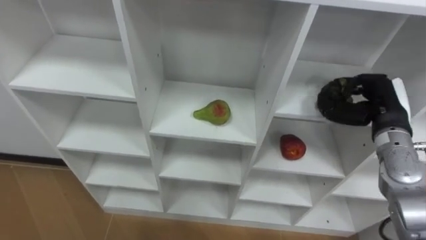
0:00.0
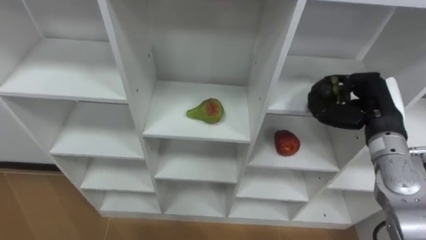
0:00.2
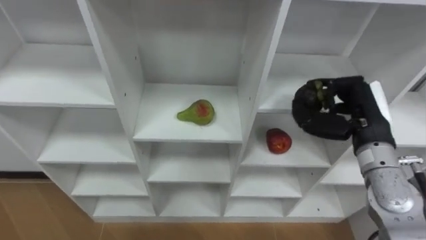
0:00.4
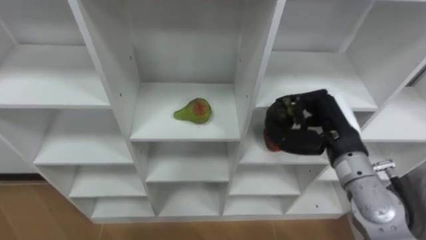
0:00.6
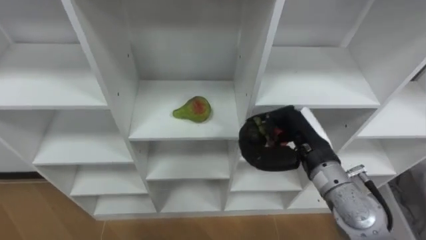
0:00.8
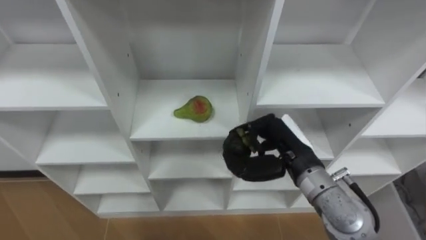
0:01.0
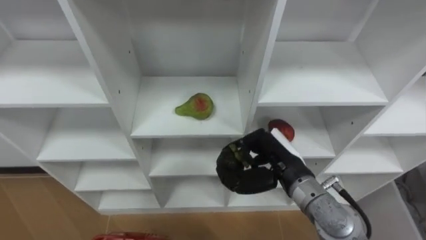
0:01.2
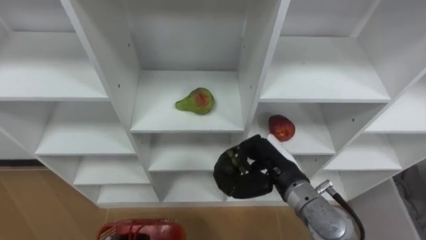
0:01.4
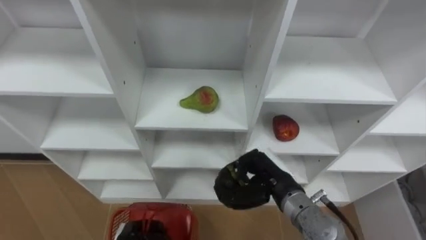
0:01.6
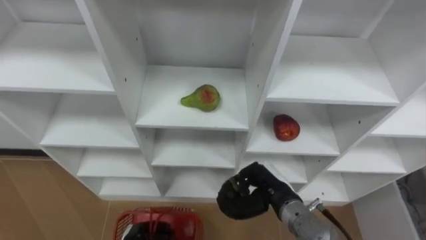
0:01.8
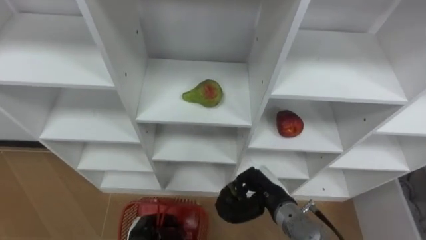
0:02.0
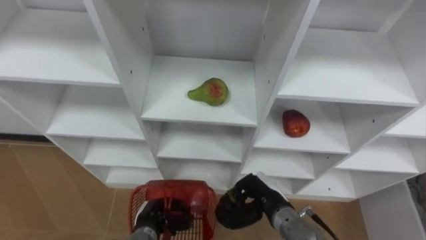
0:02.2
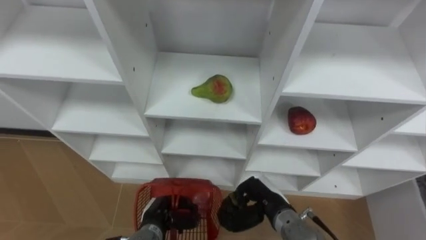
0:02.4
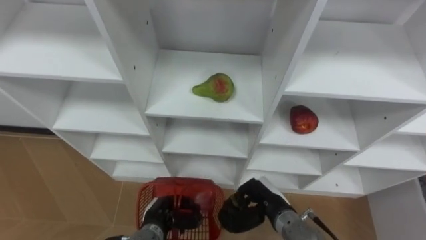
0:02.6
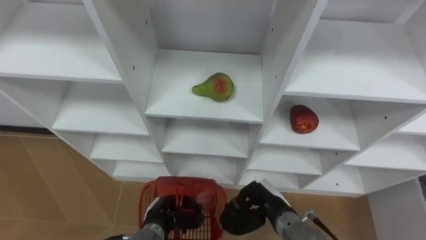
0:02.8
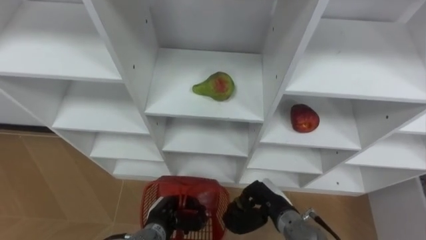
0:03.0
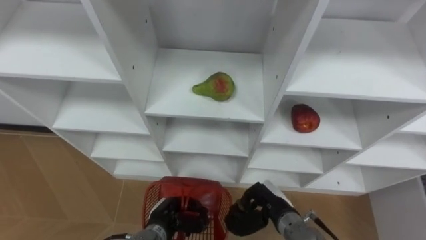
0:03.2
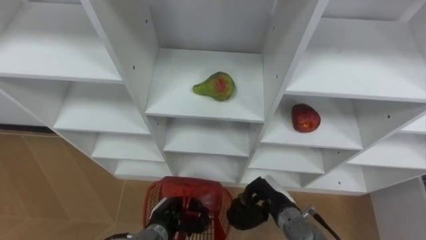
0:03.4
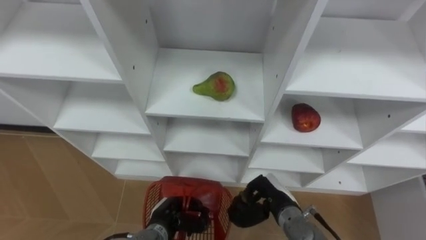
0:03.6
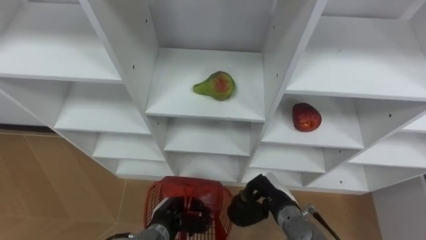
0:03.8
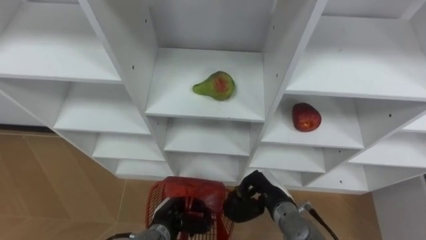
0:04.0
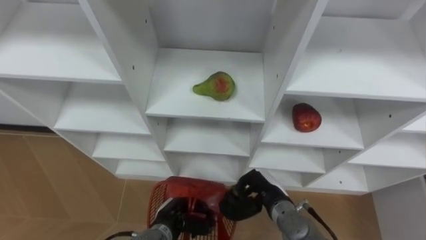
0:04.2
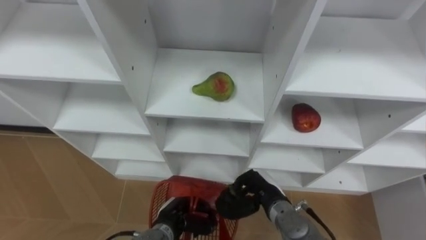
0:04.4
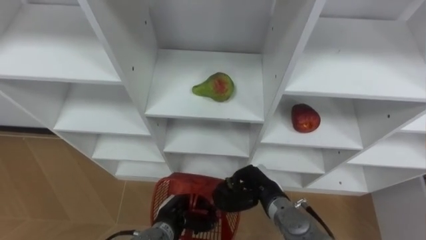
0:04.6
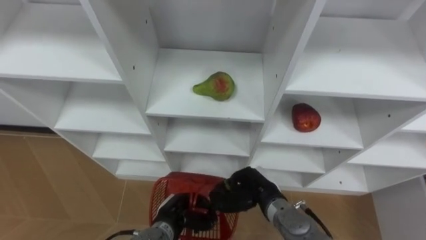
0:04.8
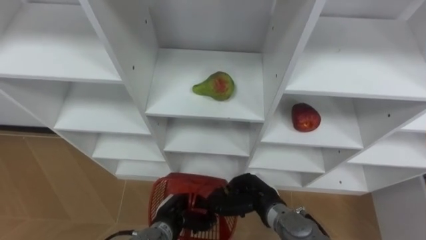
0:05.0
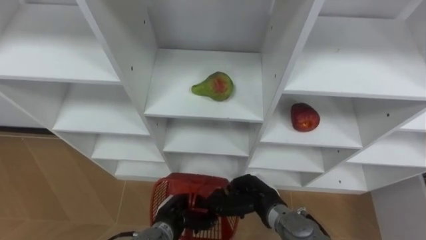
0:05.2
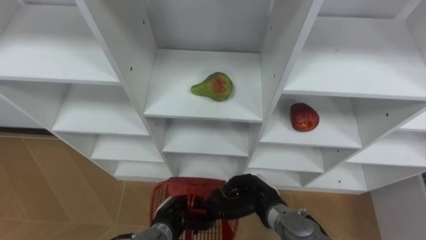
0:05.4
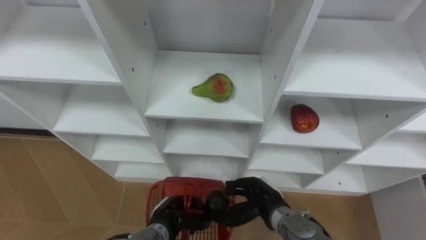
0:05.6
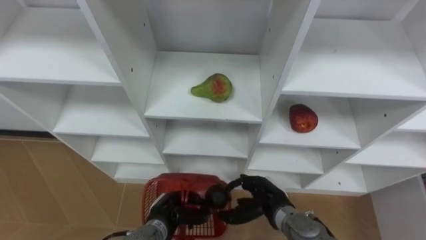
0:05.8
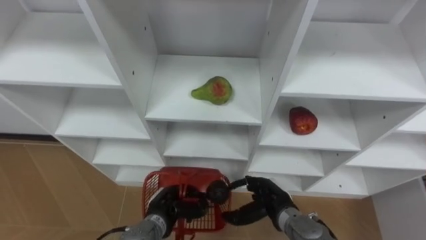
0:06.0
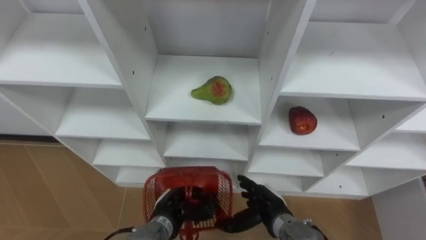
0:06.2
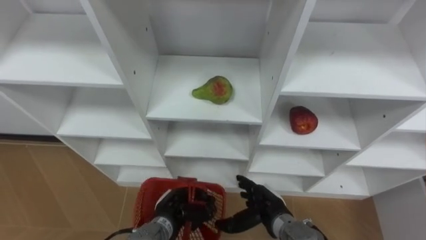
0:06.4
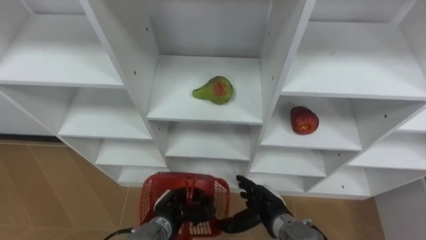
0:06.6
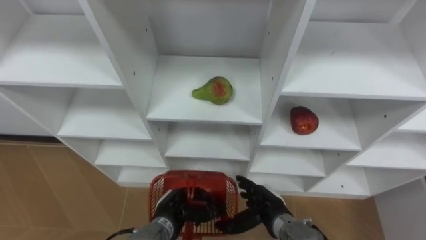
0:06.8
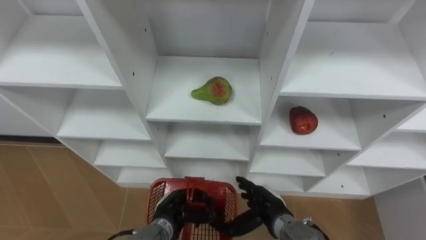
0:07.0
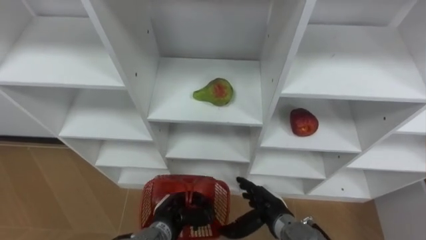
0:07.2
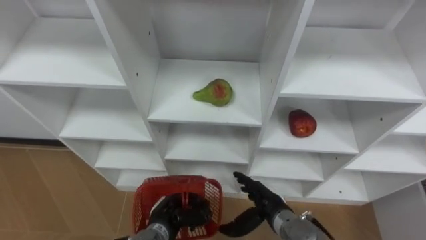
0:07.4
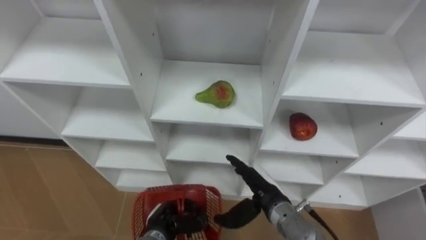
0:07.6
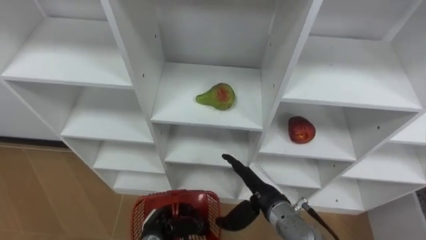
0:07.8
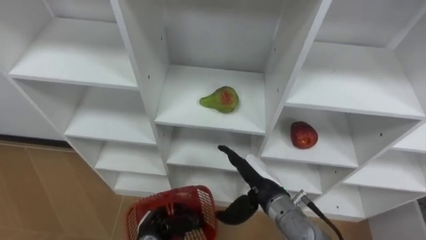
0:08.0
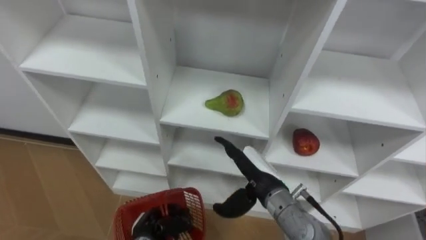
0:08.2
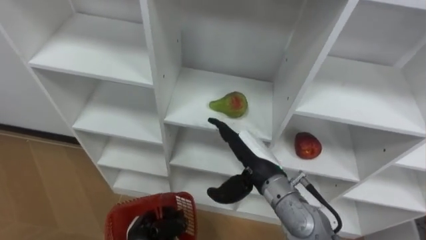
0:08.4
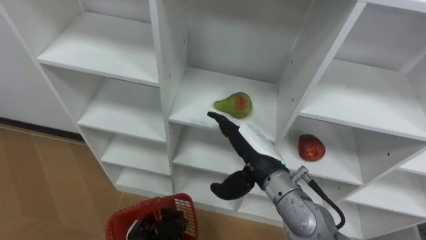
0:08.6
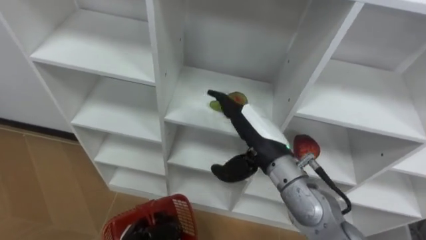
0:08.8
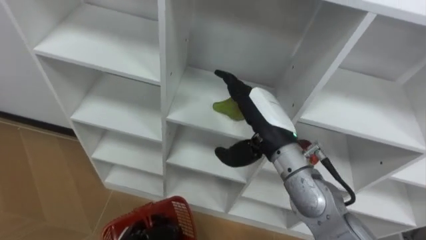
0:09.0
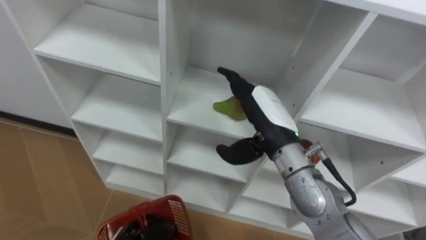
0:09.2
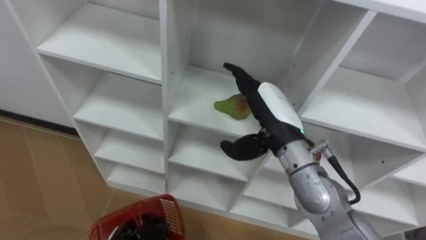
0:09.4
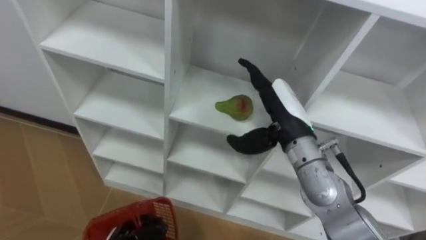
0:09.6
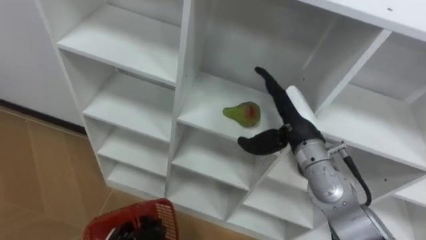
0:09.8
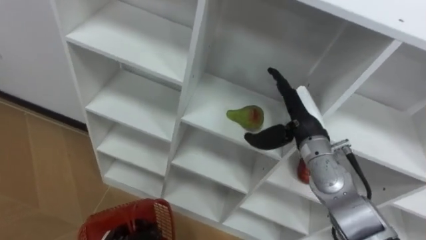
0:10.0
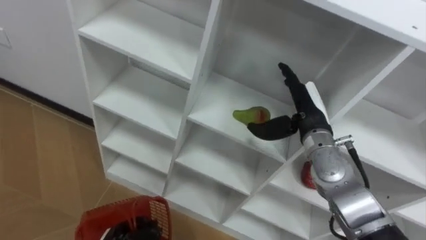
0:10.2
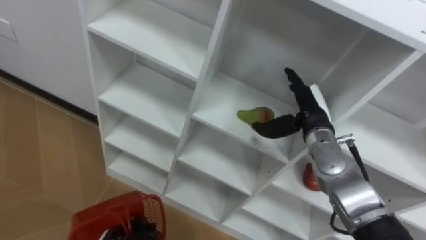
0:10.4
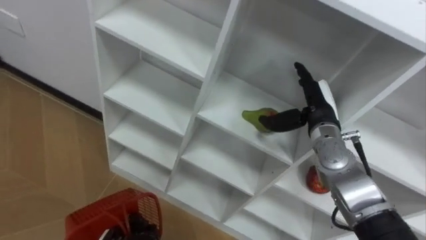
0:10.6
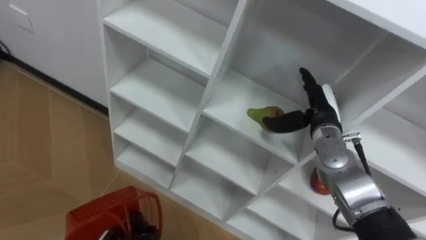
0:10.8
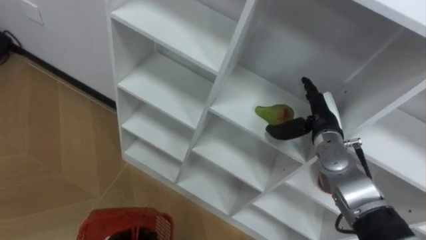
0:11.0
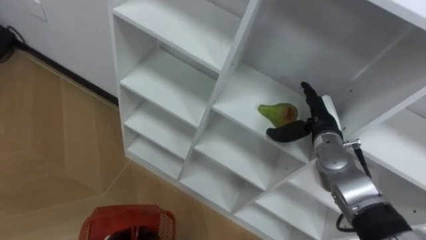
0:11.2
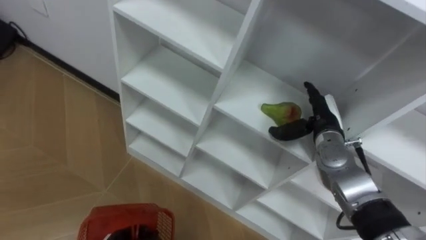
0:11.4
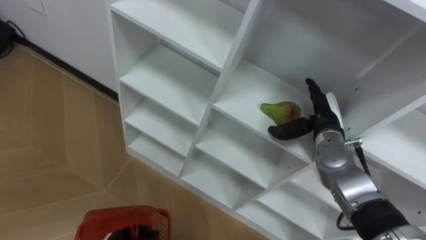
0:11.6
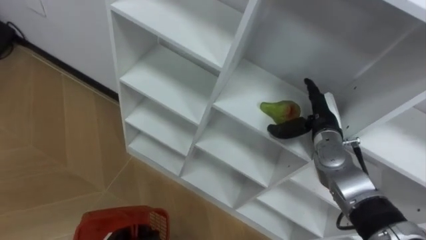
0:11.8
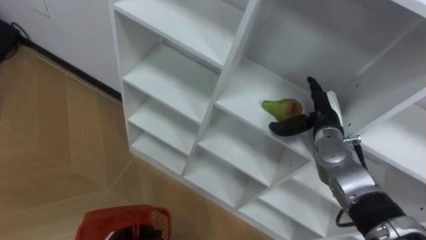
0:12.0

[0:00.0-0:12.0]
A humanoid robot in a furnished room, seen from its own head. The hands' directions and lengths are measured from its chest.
Task of the whole recording: Hold the basket and collect the fruits from 3 different cells of the closet into it.
0:00.0 to 0:01.6: The right hand heads to the left, downward and backward, covering roughly 20 cm.
0:01.6 to 0:03.0: The right hand goes some 10 cm downward.
0:03.0 to 0:04.4: The hands stay close to where they were, moving slightly.
0:04.4 to 0:06.0: The right hand opens up.
0:07.6 to 0:09.0: The right hand is displaced upward by some 15 cm; the left hand shifts roughly 5 cm to the left.
0:09.0 to 0:10.4: The right hand goes some 10 cm to the right, forward and downward.
0:10.4 to 0:12.0: The right hand moves about 5 cm.

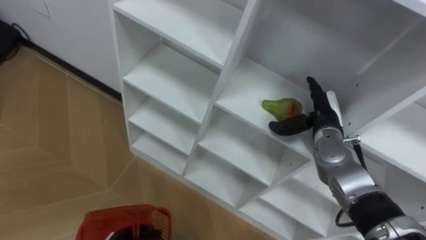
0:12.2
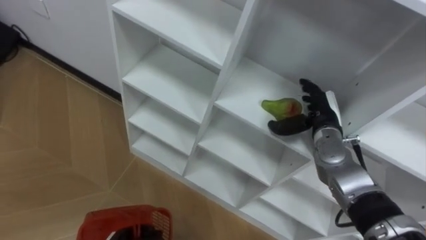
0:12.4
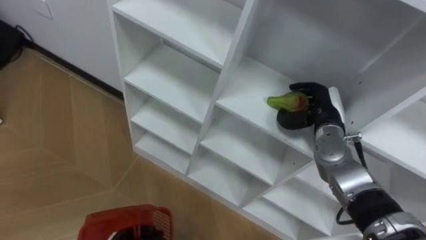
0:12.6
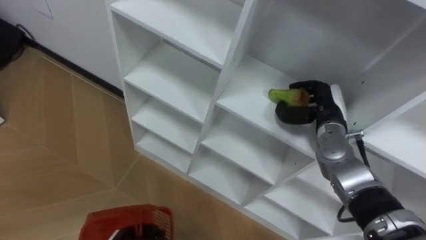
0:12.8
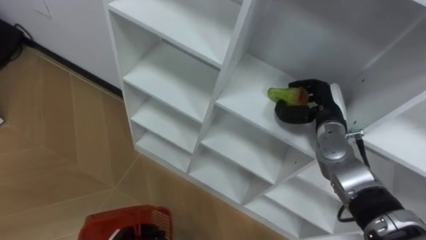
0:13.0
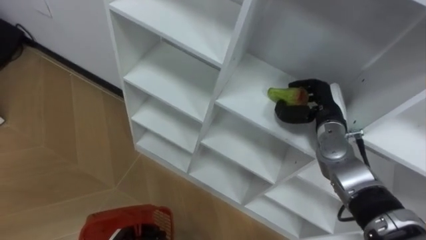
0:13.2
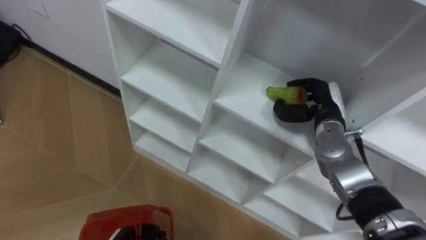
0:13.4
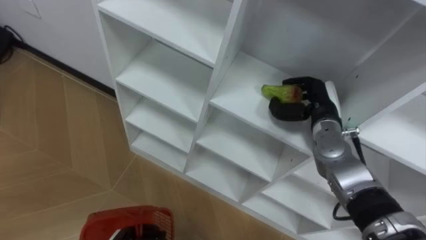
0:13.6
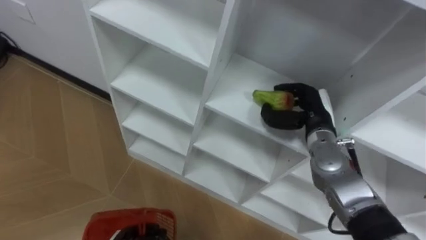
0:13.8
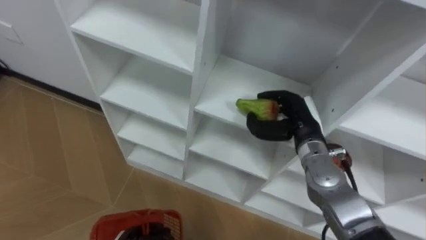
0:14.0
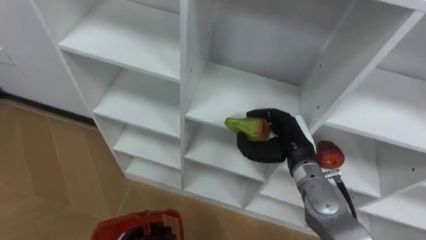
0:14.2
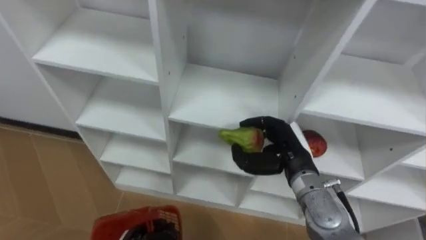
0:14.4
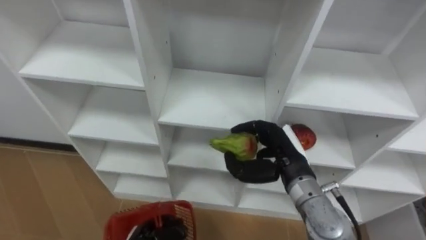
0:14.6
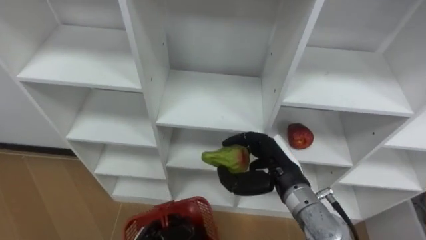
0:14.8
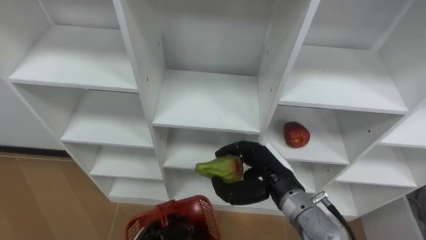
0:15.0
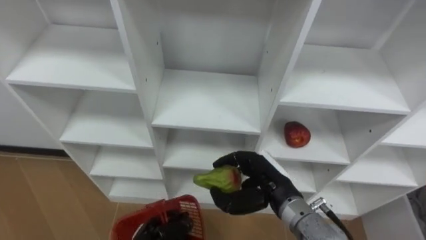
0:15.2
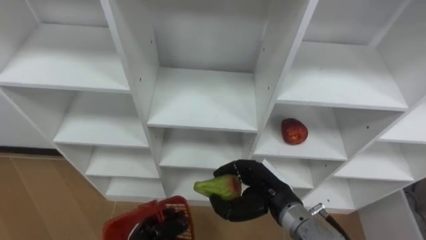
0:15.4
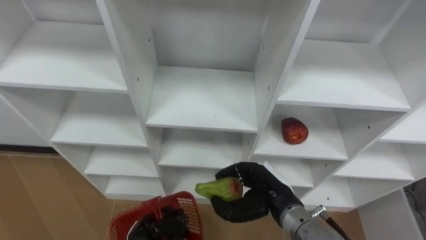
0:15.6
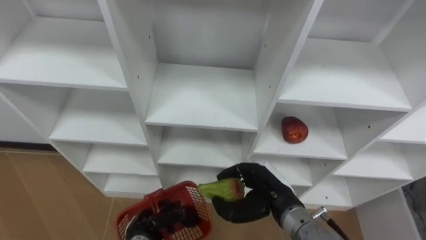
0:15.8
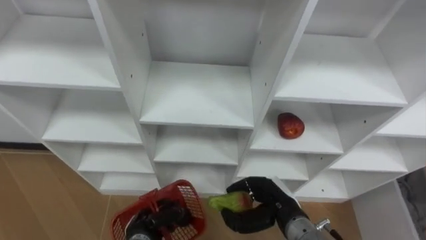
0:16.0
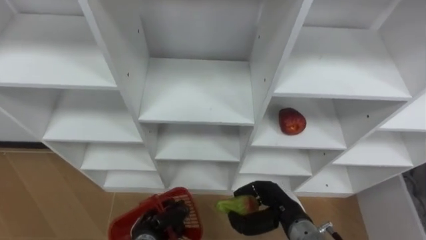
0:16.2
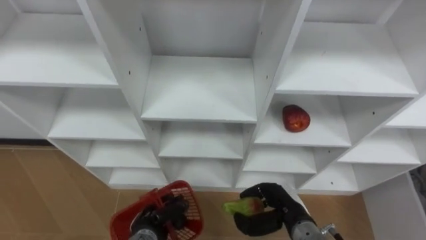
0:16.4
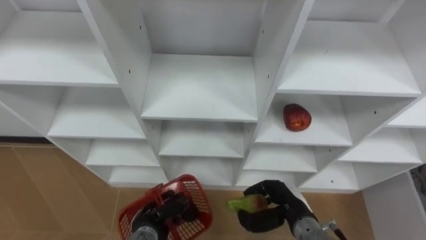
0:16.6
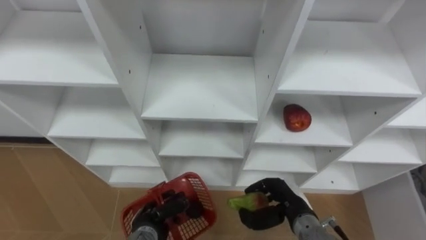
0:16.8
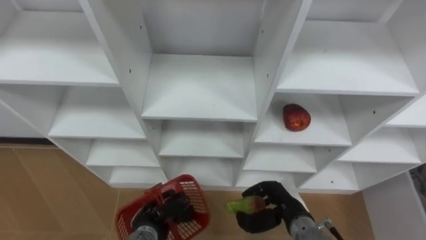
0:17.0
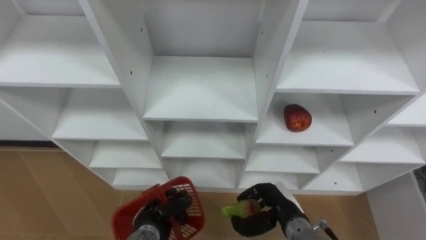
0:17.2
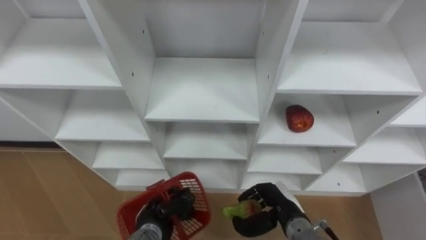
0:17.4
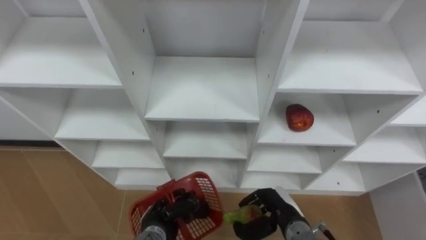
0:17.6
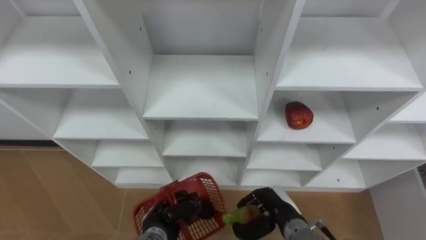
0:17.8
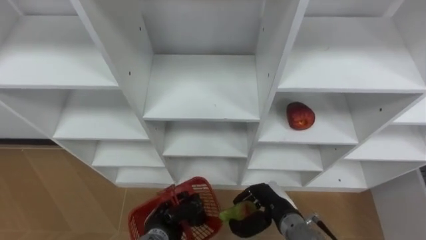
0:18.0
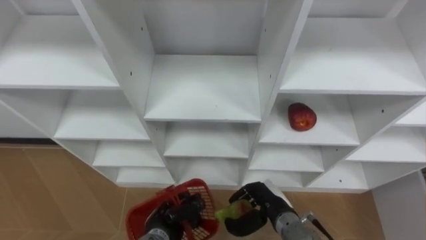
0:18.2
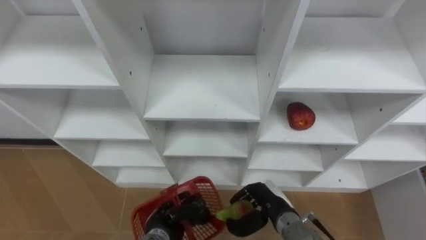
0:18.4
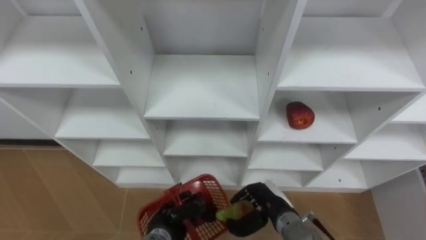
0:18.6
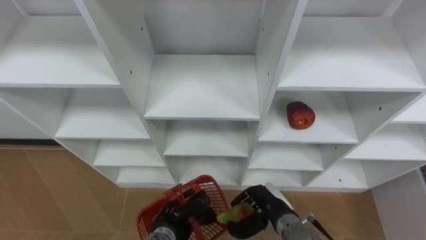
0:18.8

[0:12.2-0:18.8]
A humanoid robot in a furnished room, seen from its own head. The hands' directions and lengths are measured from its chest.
Task of the whole recording: Hold the basket and collect the fruits from 3 different cells of the closet into it.
0:12.2 to 0:13.8: The right hand closes up.
0:13.8 to 0:15.4: The right hand goes roughly 15 cm backward and to the left.
0:15.4 to 0:17.2: The right hand travels downward by about 10 cm.
0:17.2 to 0:18.8: The hands make only small movements.
